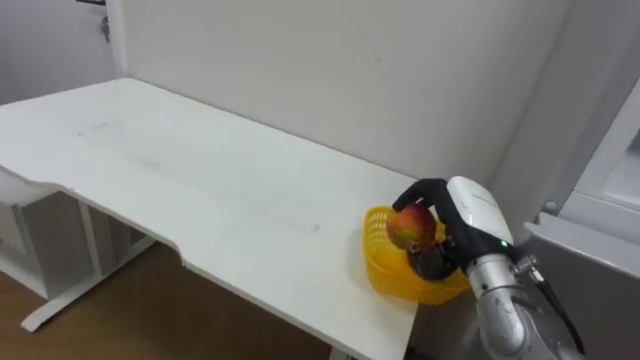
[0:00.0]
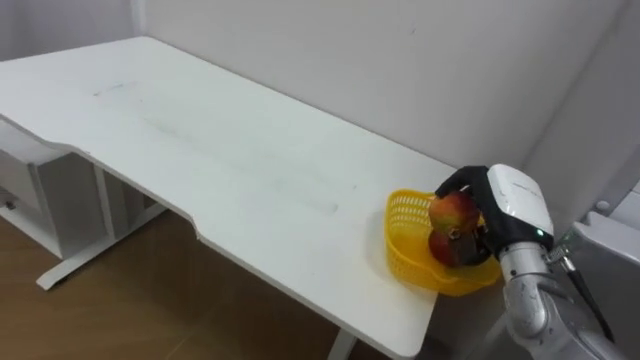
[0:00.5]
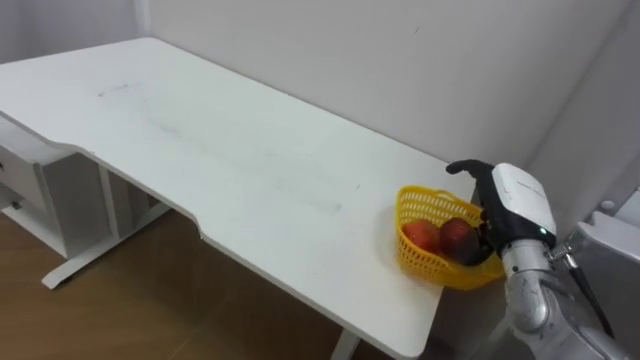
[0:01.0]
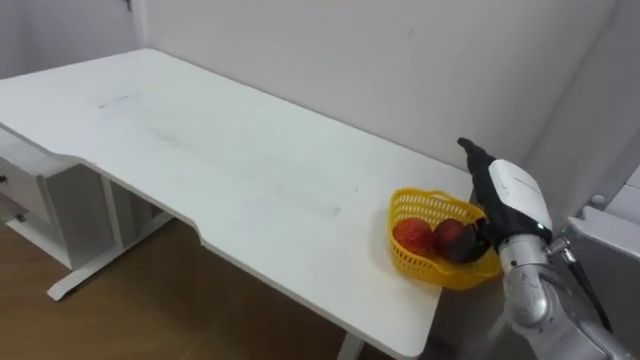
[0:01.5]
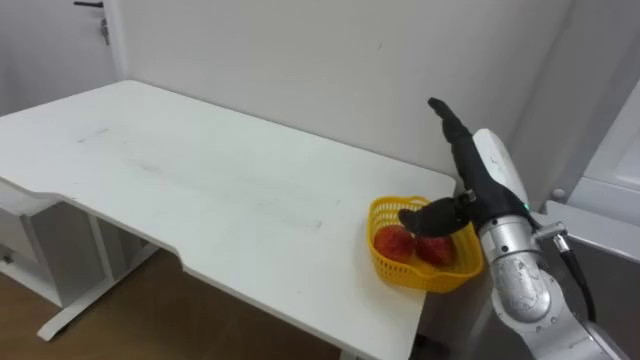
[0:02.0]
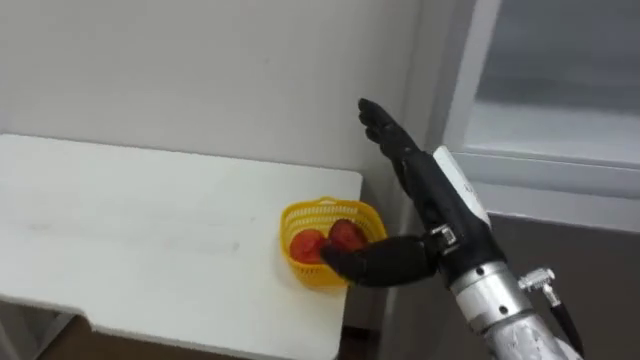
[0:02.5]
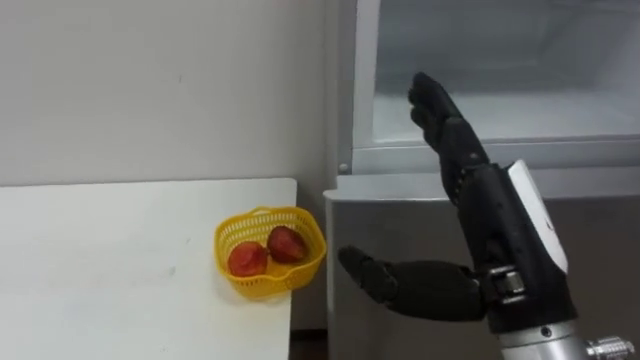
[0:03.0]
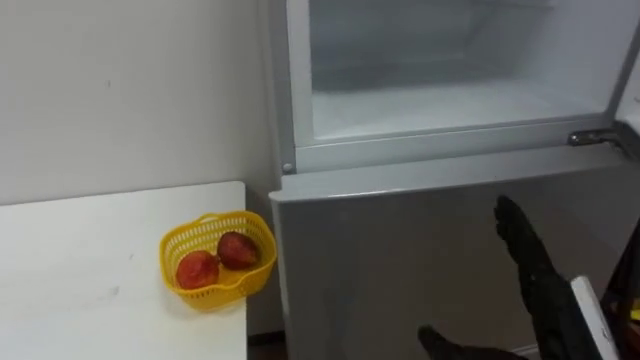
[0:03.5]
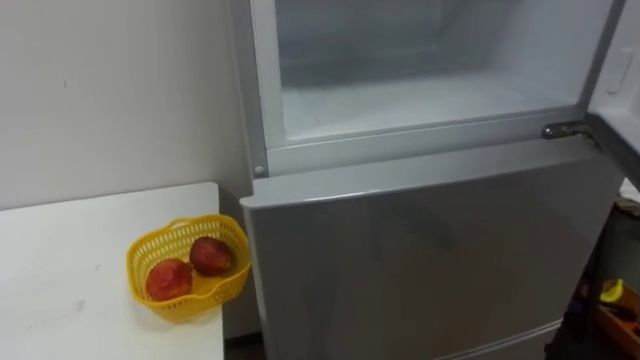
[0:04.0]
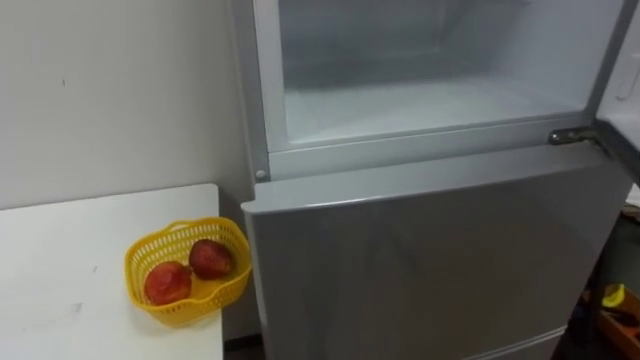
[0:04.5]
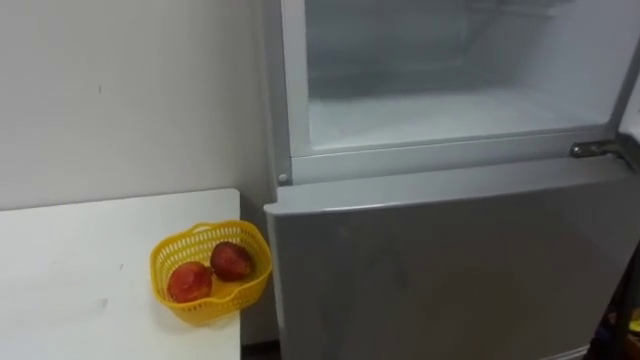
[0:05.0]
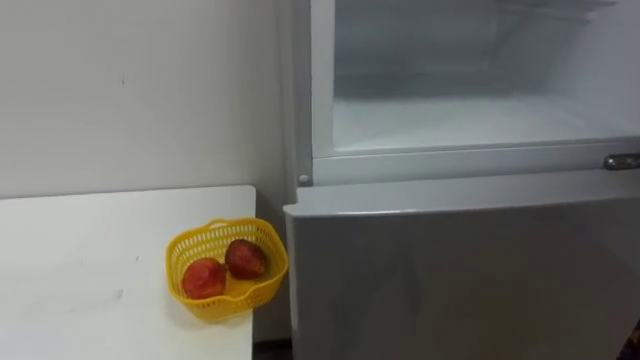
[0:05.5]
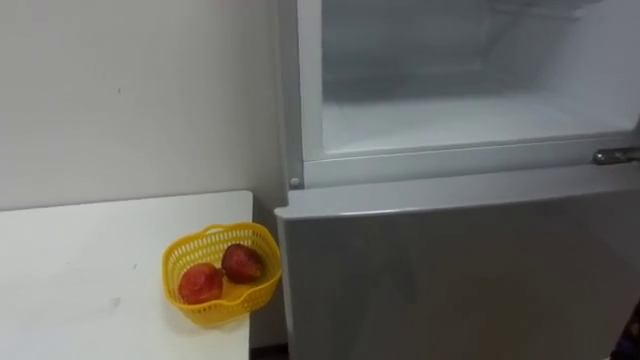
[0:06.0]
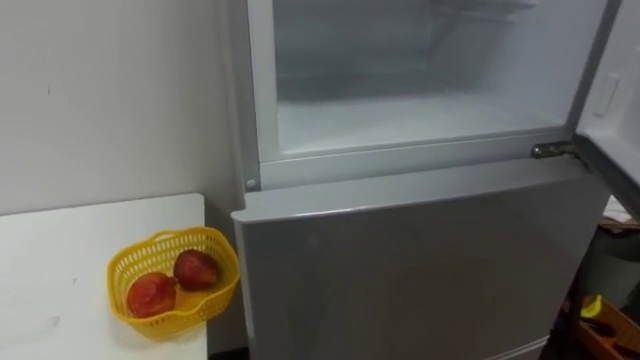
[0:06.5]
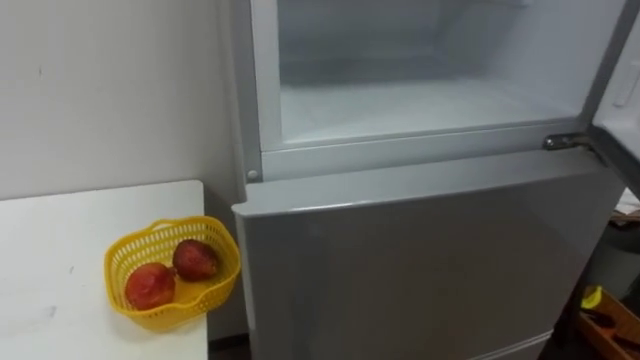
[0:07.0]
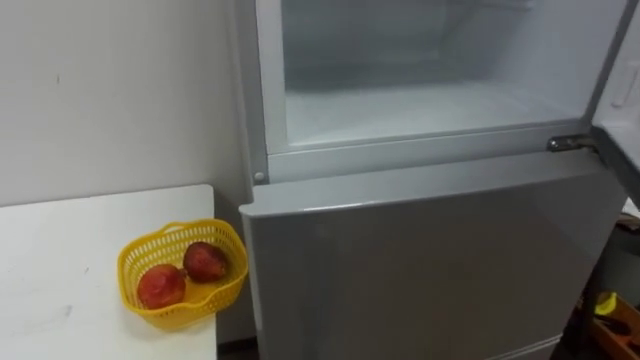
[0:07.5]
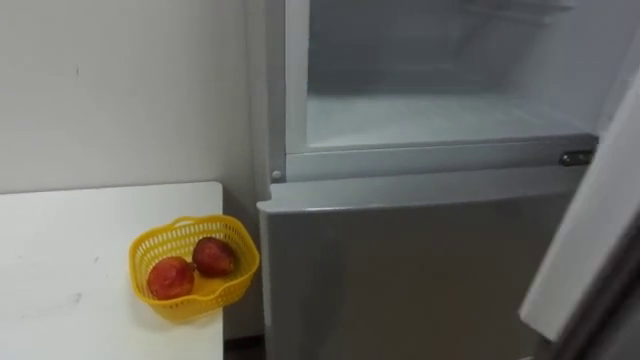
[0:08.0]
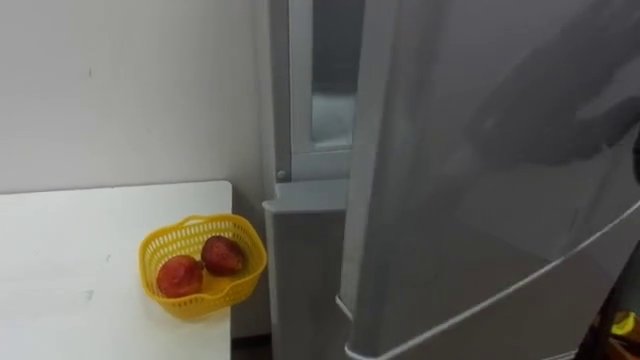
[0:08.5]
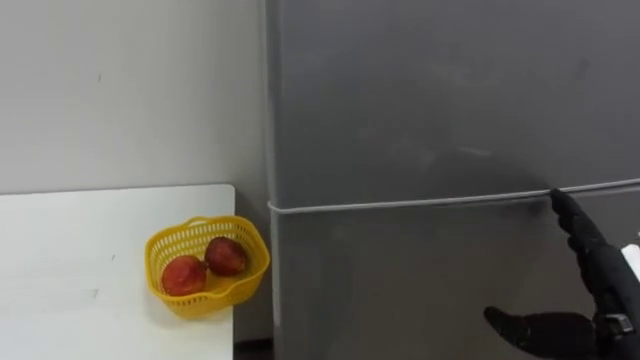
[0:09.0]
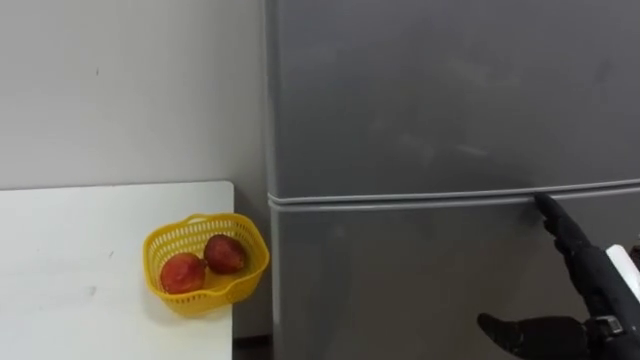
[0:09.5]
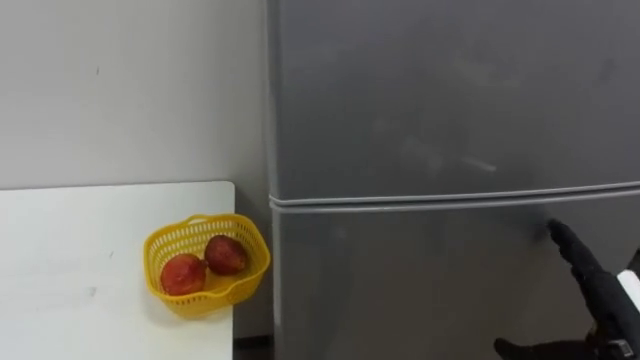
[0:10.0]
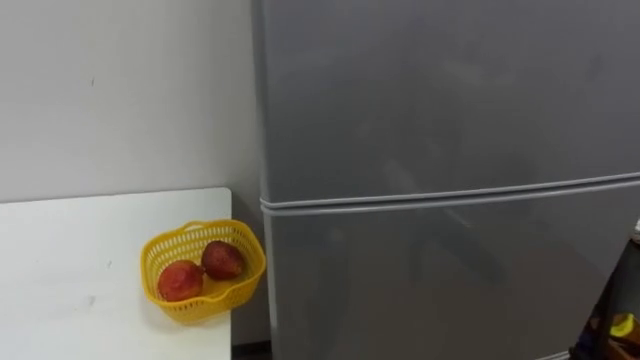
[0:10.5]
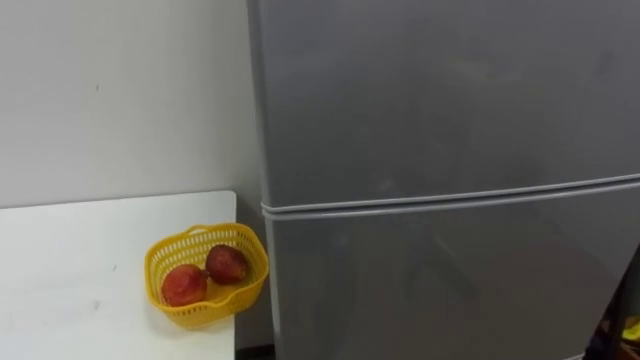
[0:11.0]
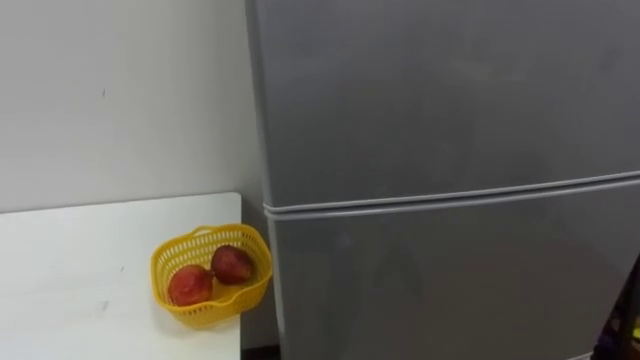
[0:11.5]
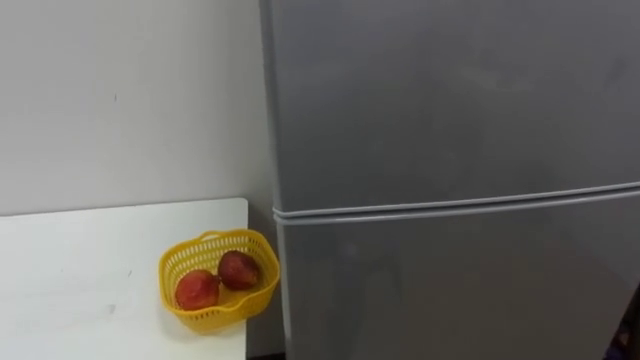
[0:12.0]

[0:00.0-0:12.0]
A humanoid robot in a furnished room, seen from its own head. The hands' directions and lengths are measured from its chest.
Task of the whole recording: Open the refrigerator door, take out the apple and the pomegranate, place them in the fruit basket on the left, and close the refrigerator door.
0:00.0 to 0:02.0: The right hand heads upward, covering roughly 5 cm, and opens up.

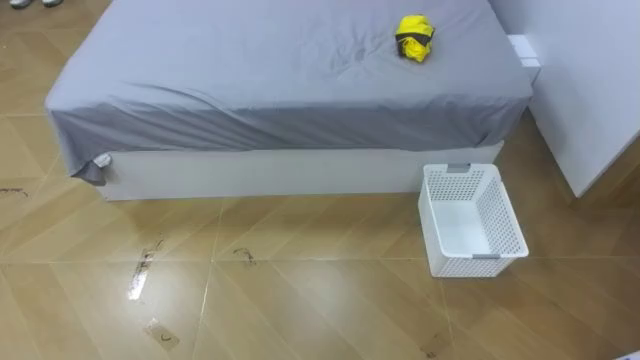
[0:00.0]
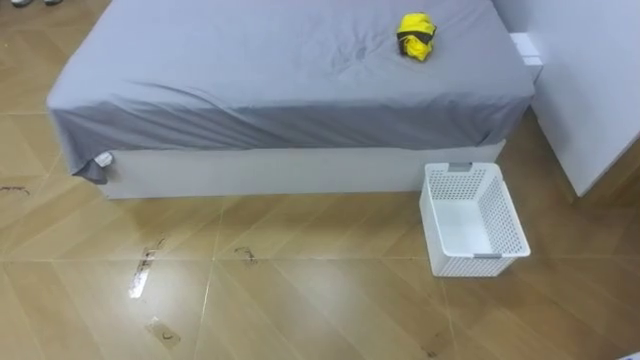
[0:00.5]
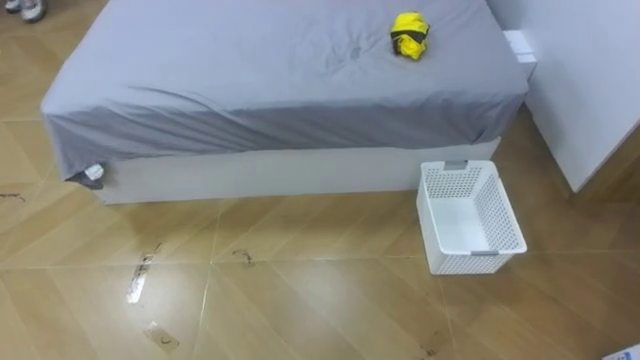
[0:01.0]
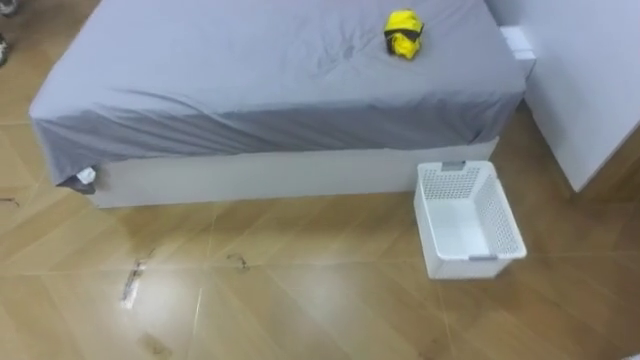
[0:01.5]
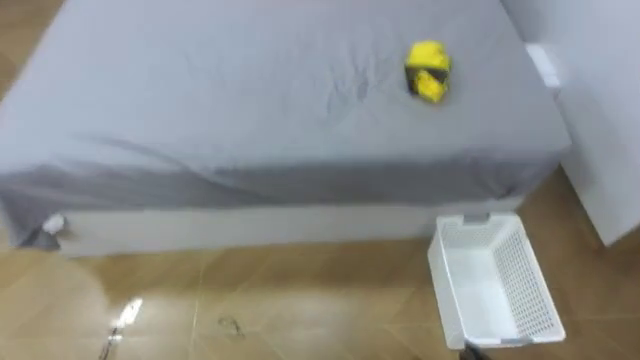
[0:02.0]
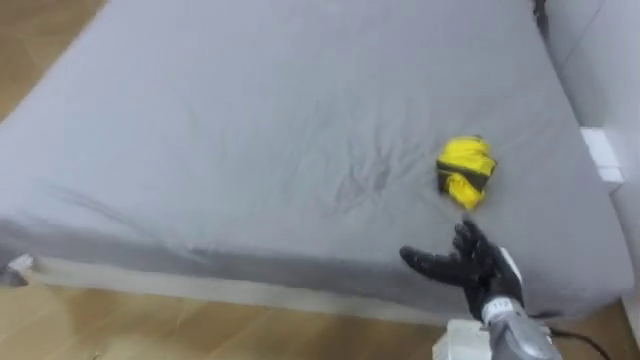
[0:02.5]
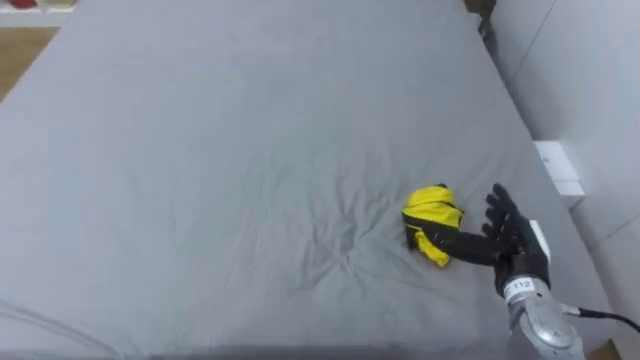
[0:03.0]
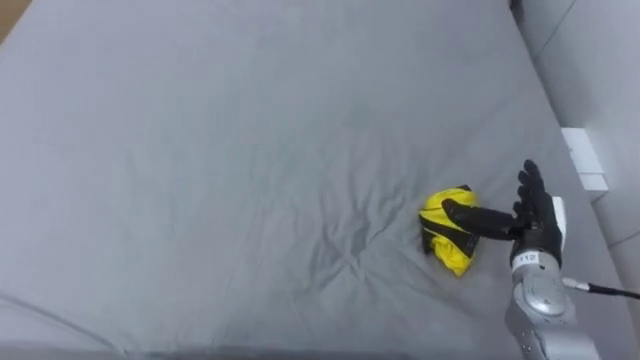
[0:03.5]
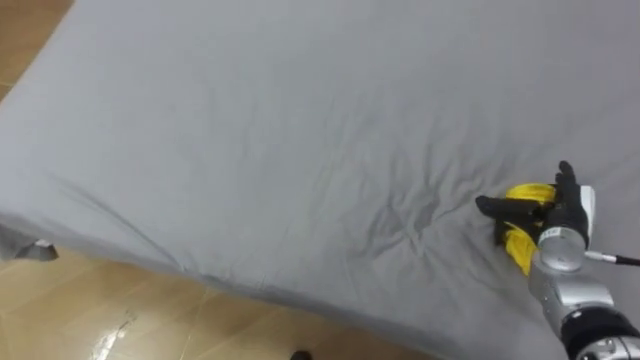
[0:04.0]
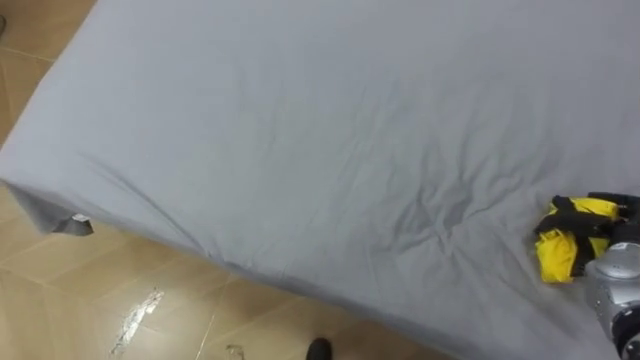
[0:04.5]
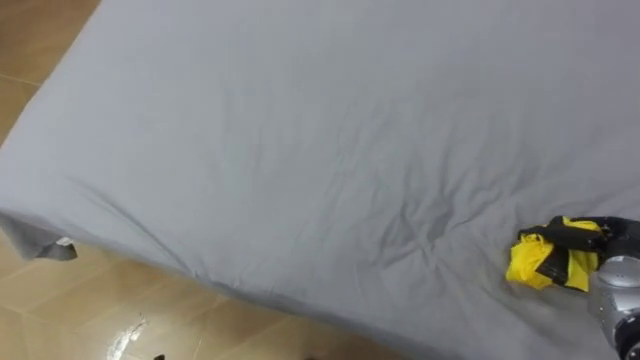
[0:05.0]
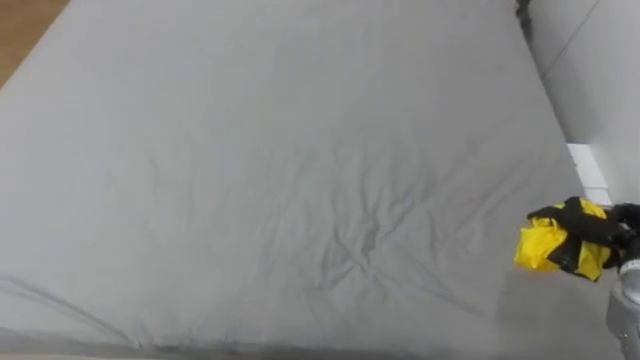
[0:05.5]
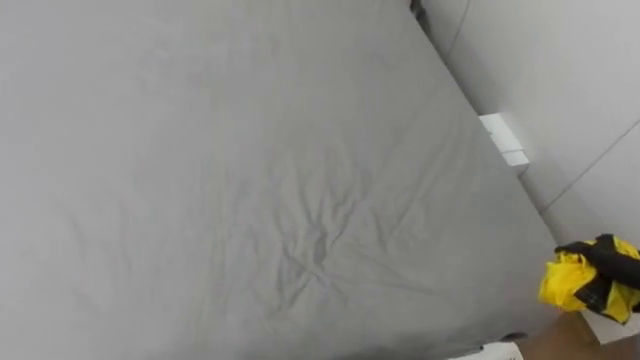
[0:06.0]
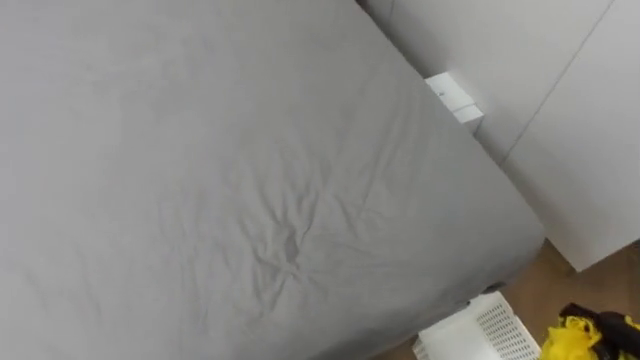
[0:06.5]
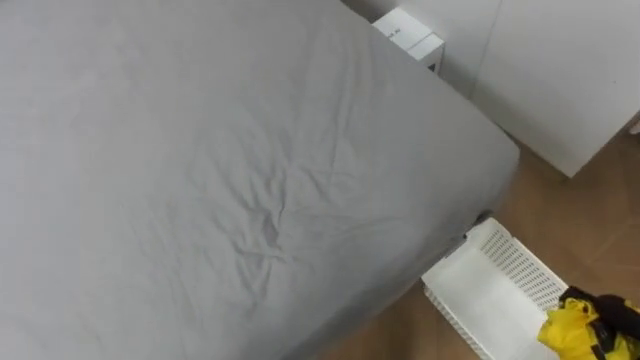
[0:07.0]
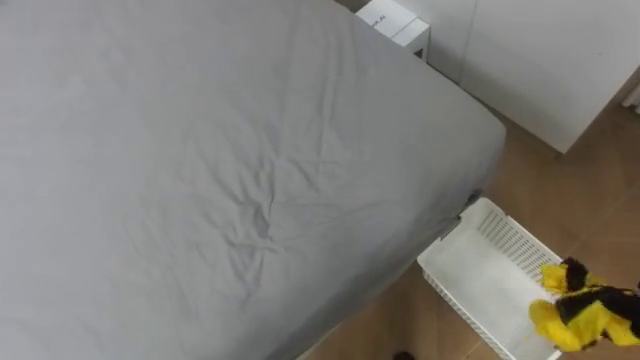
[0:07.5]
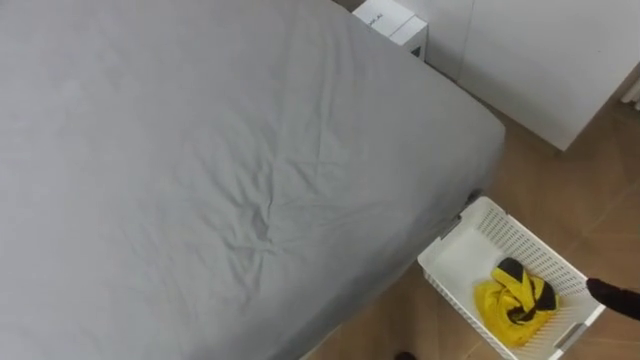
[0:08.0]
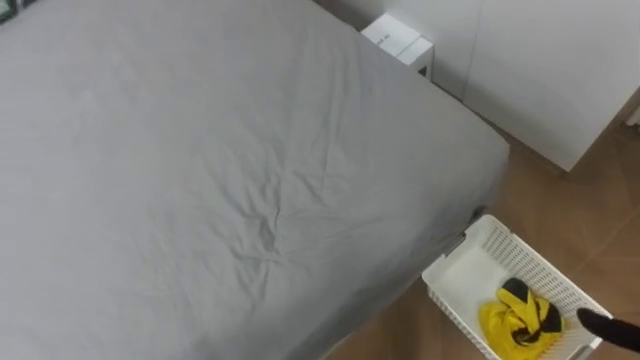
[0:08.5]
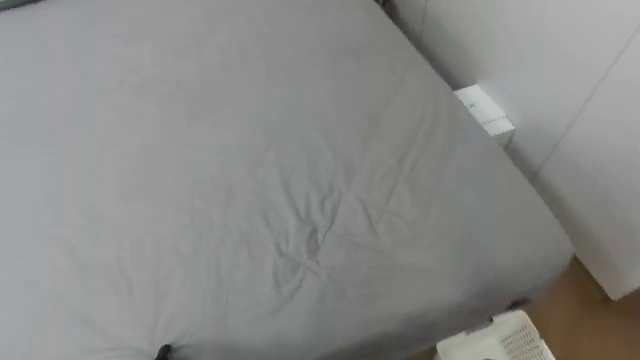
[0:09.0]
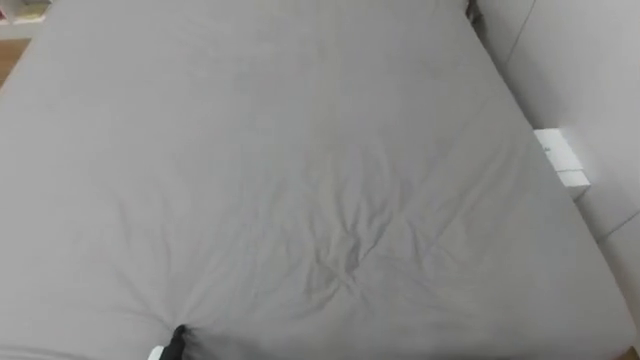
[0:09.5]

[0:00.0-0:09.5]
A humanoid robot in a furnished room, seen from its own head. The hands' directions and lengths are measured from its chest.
Task of the whole recording: Pick up the yellow clothes on the bed and place them into the white basket on the right.
0:04.0 to 0:05.5: The right hand travels to the right and backward by about 10 cm, and closes.
